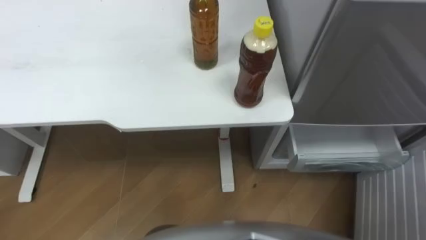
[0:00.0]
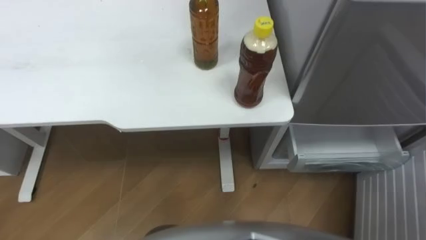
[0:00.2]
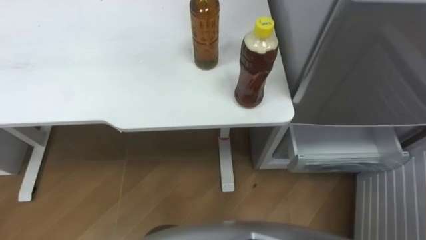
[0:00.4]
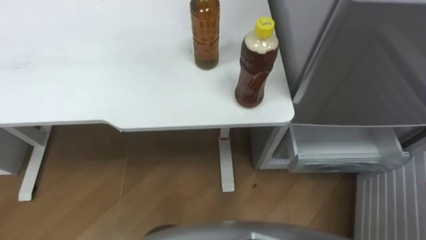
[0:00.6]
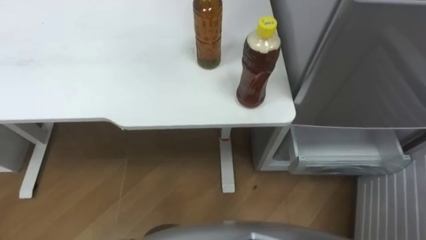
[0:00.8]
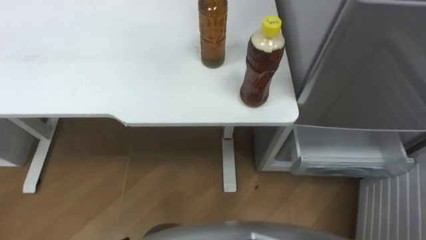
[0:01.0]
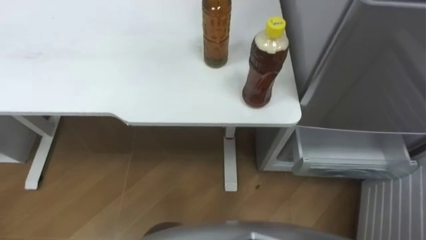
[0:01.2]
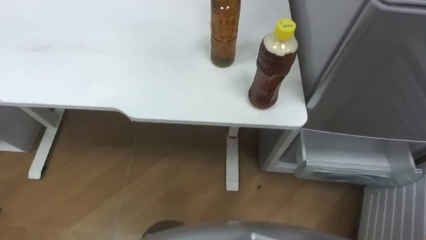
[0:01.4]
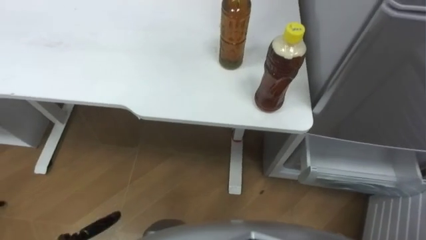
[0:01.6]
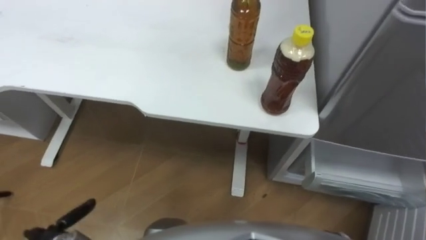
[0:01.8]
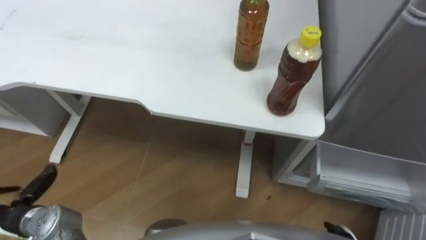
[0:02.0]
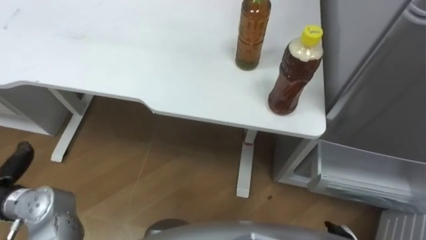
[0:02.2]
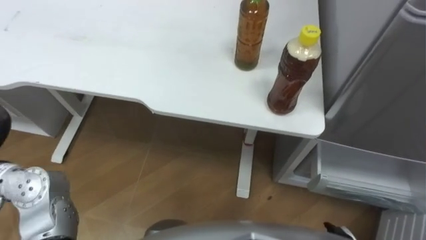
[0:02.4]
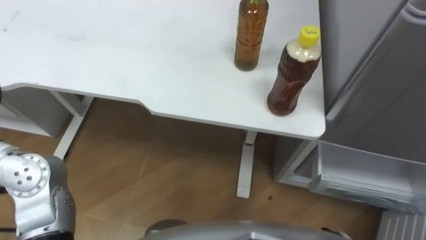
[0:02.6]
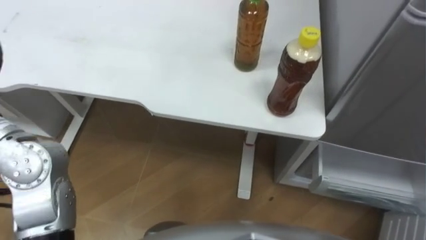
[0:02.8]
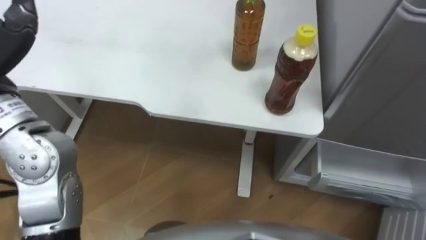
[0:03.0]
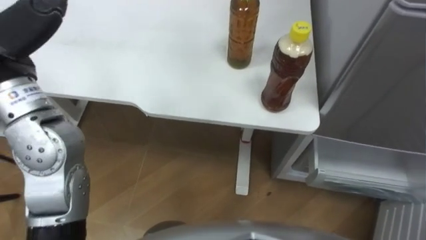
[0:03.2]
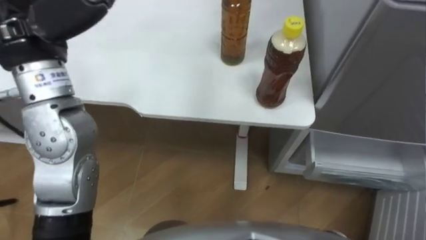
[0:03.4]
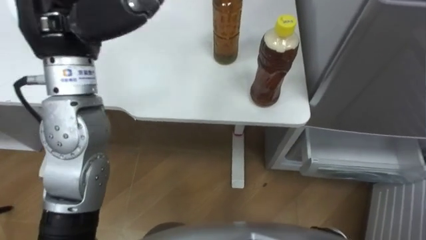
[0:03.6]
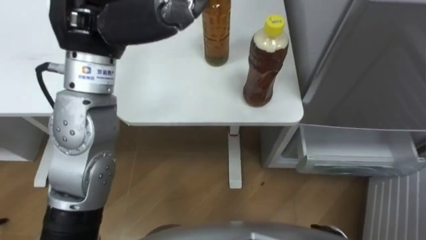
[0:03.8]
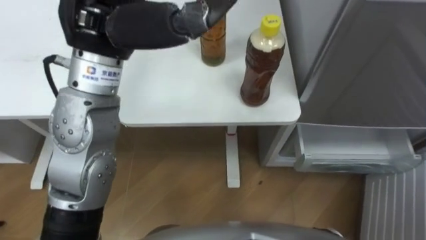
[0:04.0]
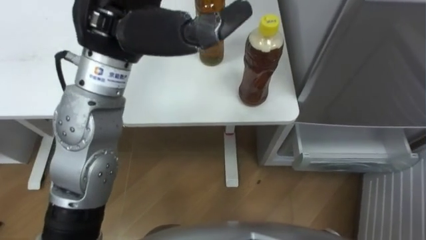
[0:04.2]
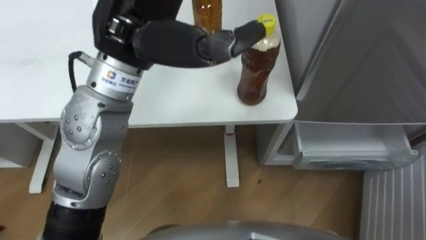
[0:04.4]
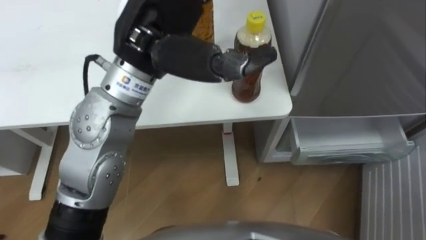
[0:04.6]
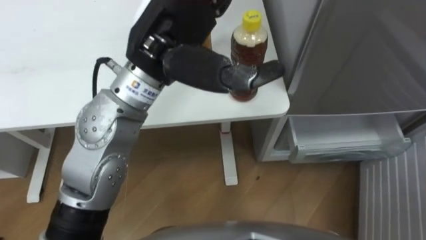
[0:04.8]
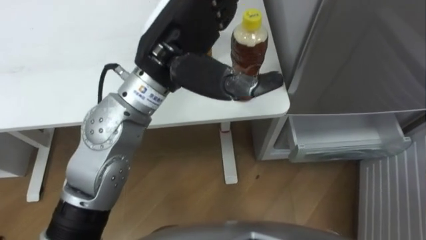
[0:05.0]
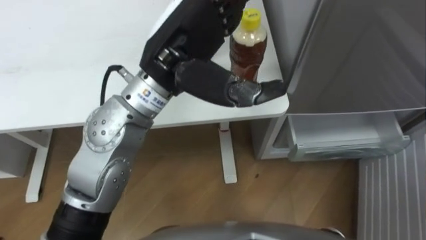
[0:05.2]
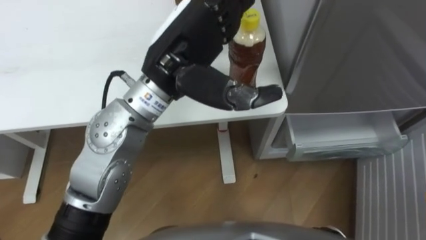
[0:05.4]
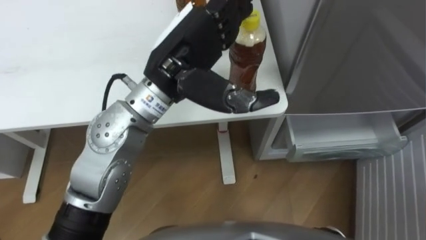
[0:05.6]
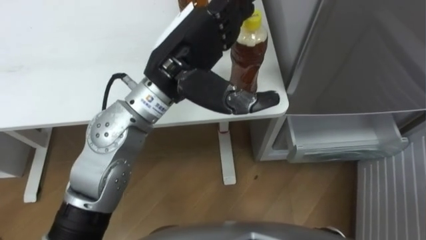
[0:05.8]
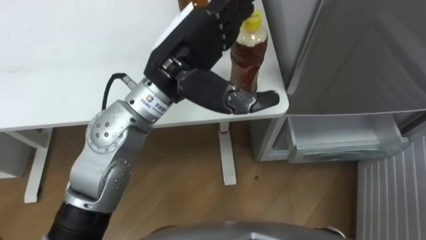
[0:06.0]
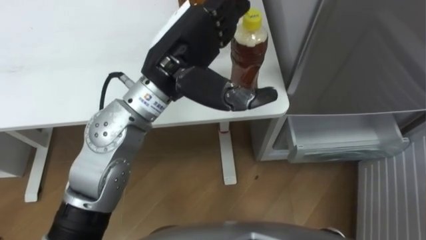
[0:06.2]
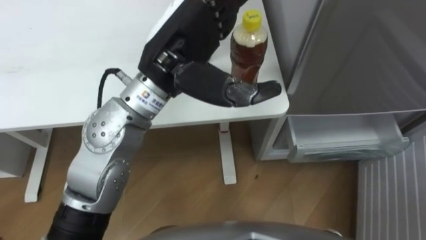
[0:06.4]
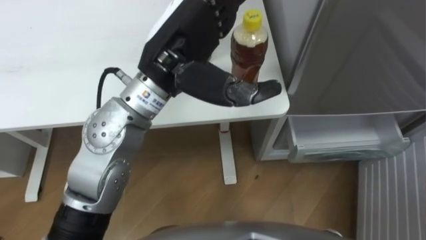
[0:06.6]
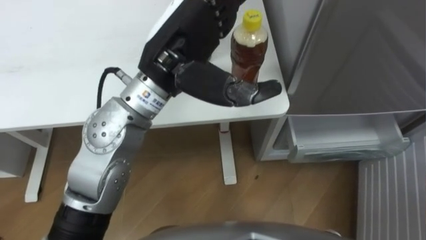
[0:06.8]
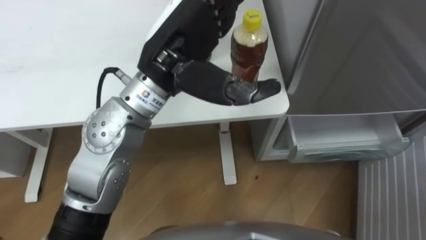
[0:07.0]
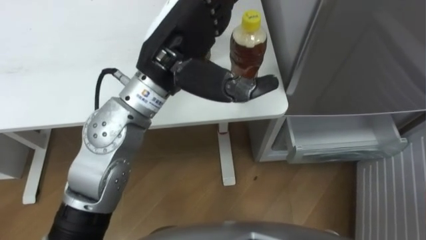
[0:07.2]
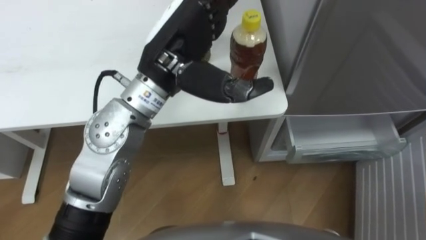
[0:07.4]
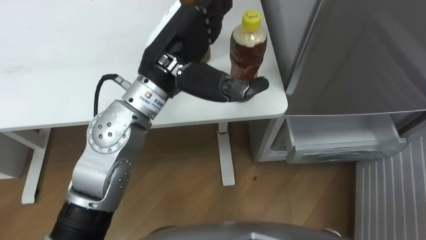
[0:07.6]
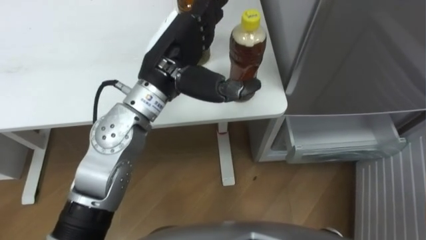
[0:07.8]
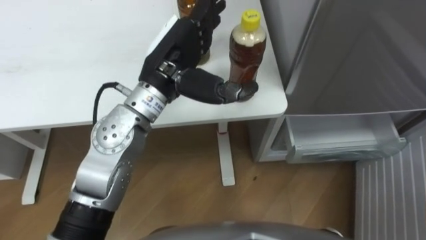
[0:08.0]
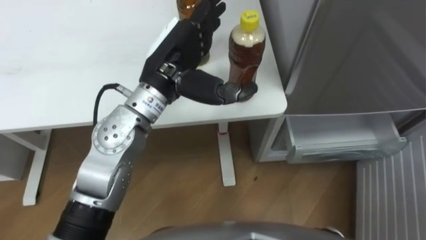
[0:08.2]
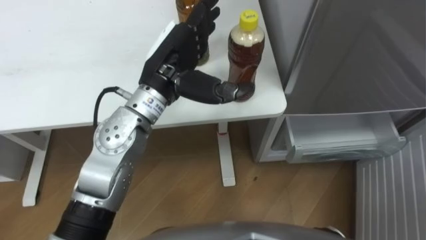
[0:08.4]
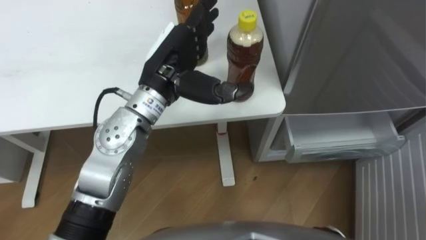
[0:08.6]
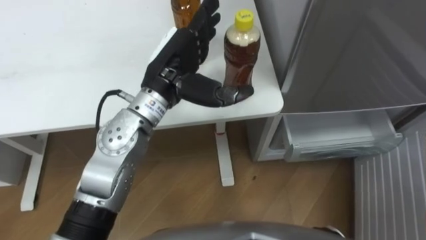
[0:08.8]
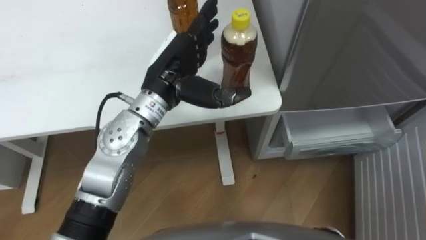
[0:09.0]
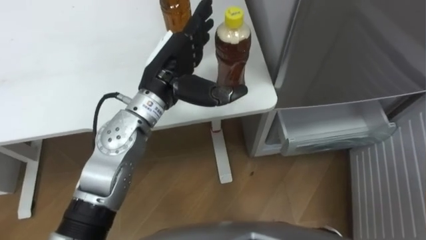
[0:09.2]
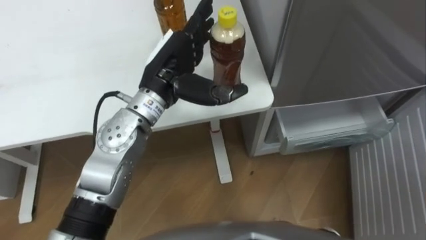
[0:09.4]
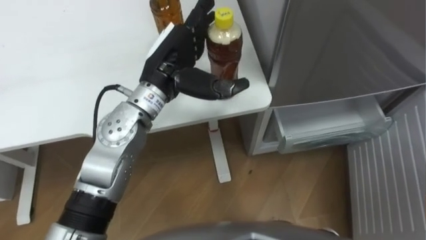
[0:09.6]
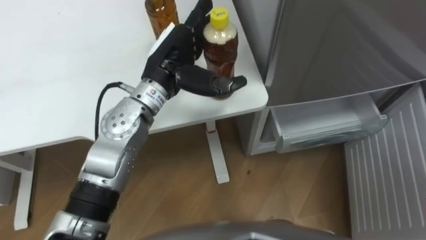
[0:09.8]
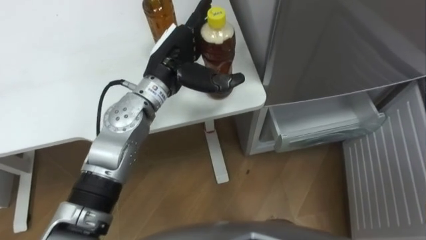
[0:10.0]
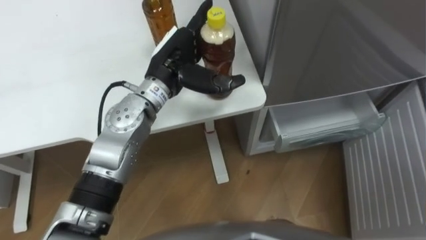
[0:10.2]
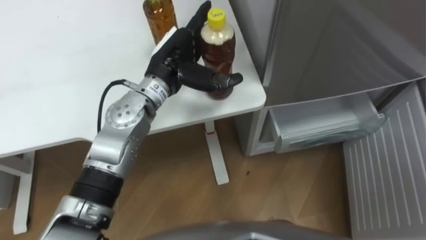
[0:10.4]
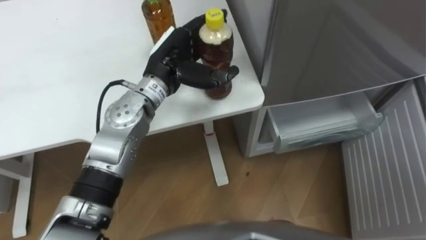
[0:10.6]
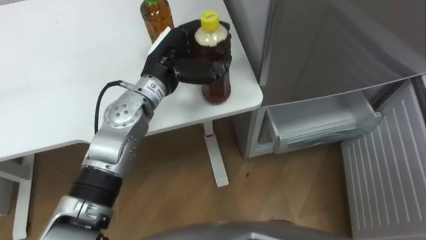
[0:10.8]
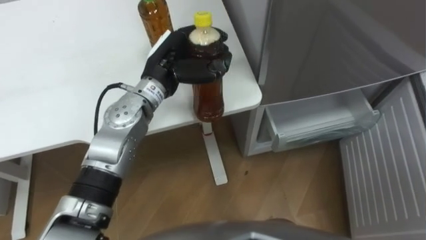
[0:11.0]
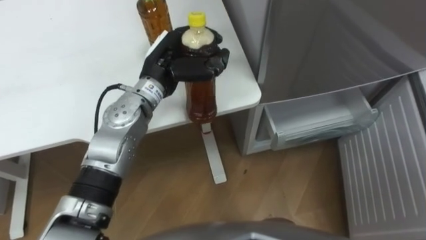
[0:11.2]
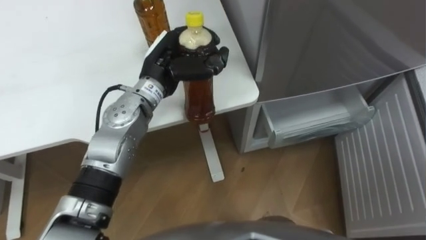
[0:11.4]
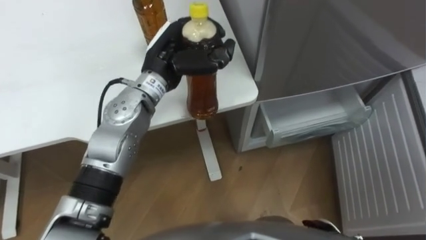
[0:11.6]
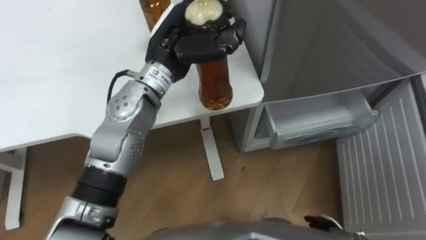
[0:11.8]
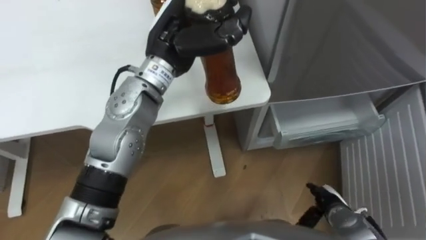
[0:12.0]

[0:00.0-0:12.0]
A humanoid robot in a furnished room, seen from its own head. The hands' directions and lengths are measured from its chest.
Task of the whole recording: Place the drink on the table on the bottom shelf of the refrigerator, then close the drawer and the refrigerator door.
0:04.4 to 0:06.0: The left hand is displaced downward by about 5 cm.
0:07.6 to 0:09.0: The left hand goes about 5 cm downward.
0:10.4 to 0:12.0: The left hand shifts about 5 cm upward, and closes its fingers.

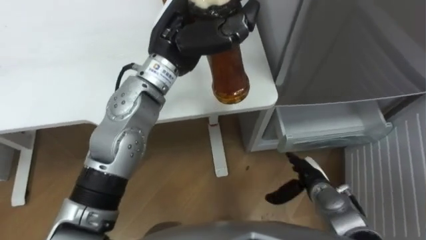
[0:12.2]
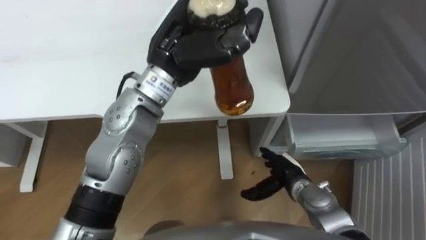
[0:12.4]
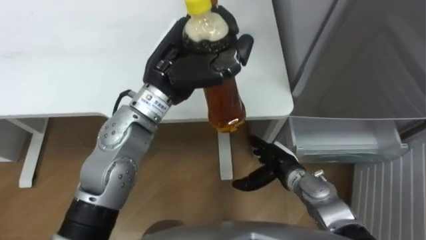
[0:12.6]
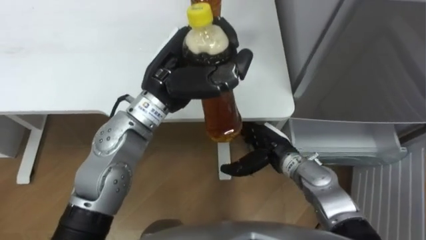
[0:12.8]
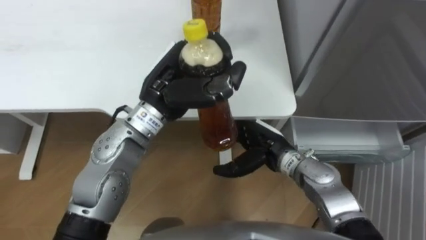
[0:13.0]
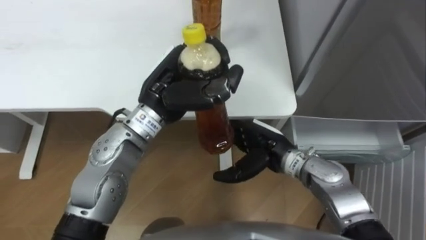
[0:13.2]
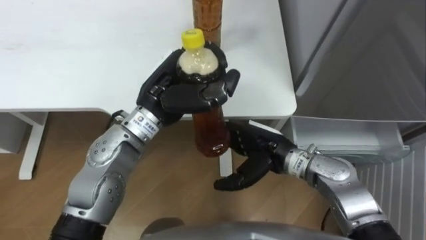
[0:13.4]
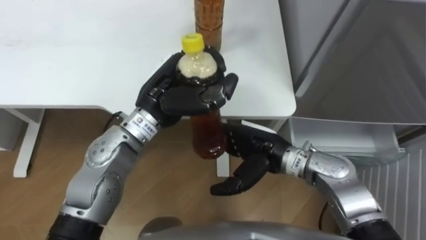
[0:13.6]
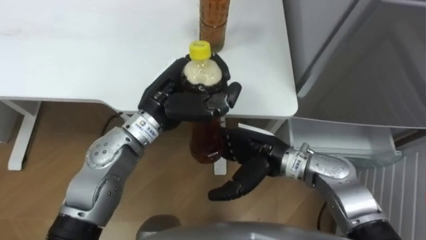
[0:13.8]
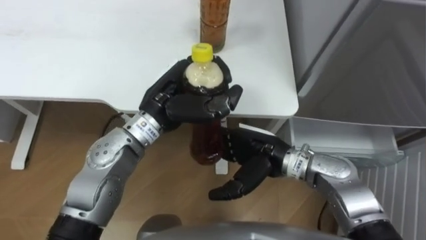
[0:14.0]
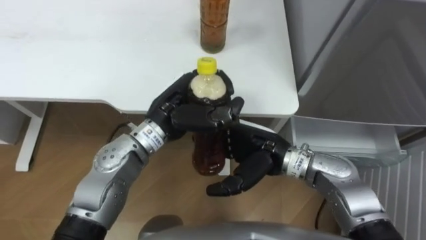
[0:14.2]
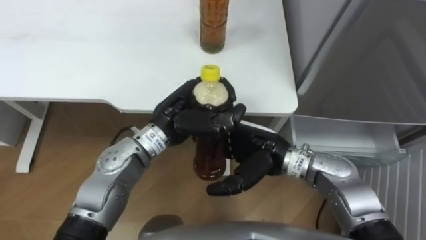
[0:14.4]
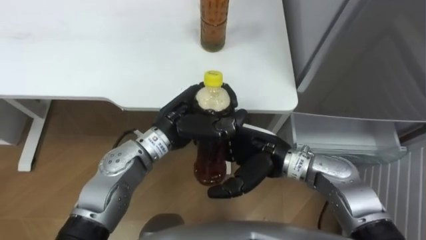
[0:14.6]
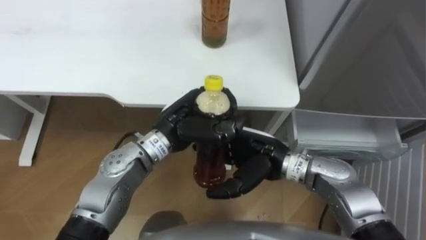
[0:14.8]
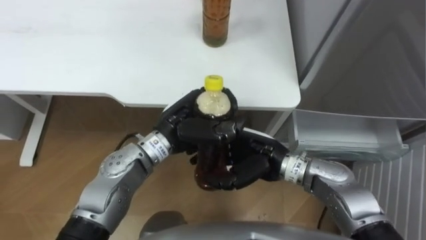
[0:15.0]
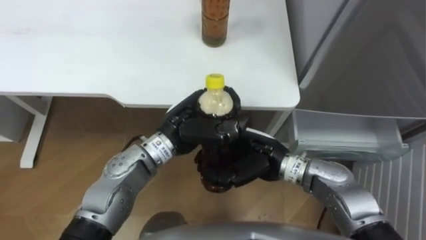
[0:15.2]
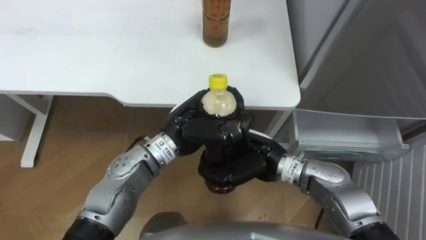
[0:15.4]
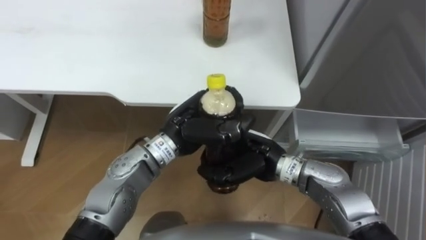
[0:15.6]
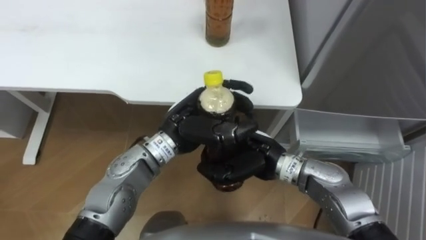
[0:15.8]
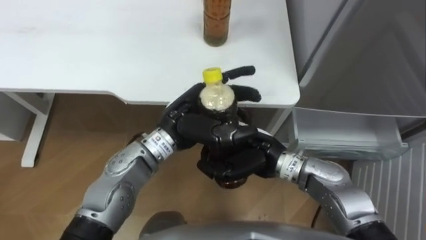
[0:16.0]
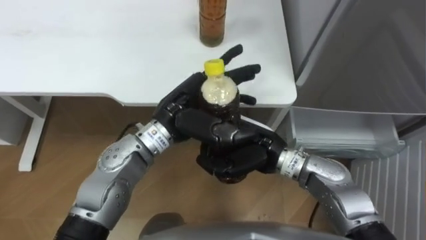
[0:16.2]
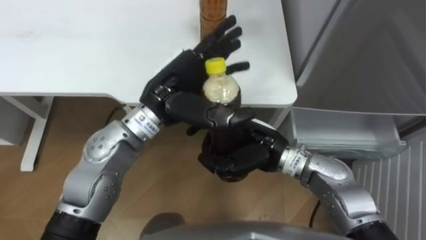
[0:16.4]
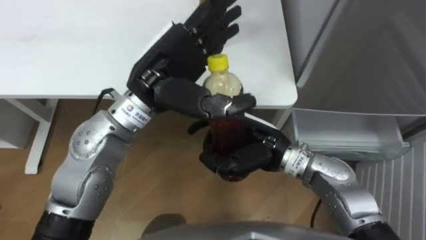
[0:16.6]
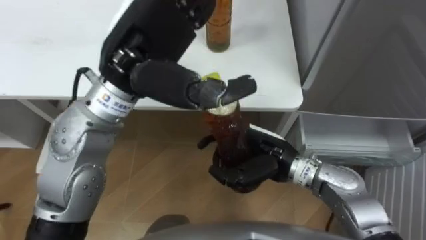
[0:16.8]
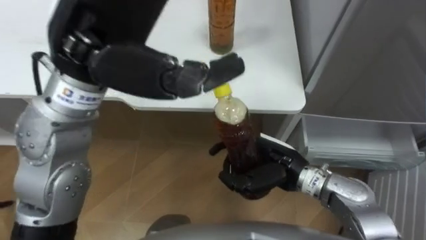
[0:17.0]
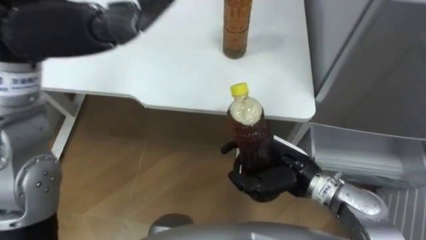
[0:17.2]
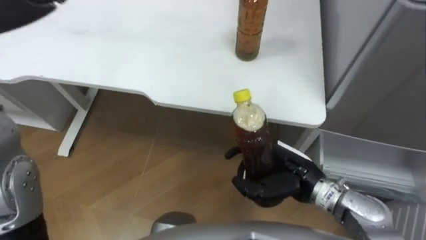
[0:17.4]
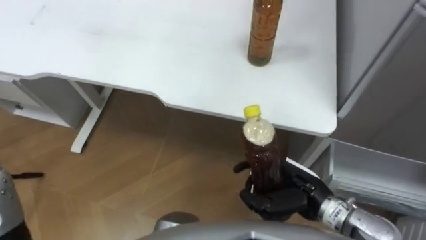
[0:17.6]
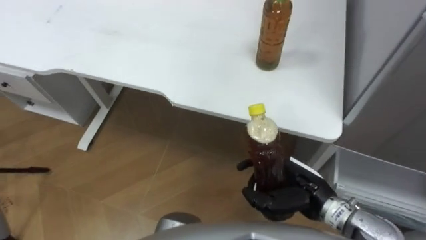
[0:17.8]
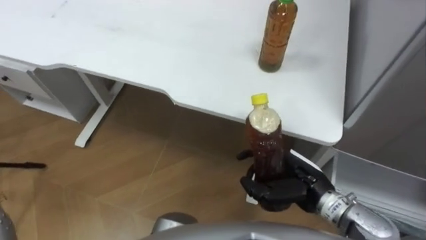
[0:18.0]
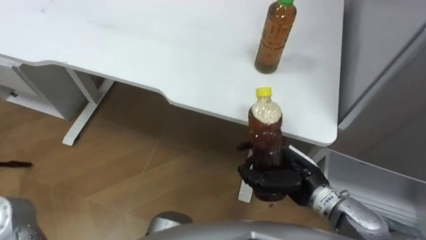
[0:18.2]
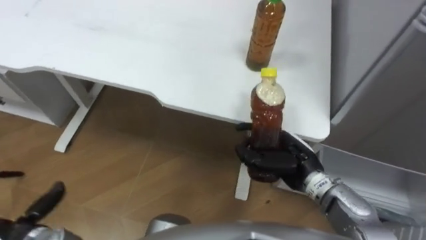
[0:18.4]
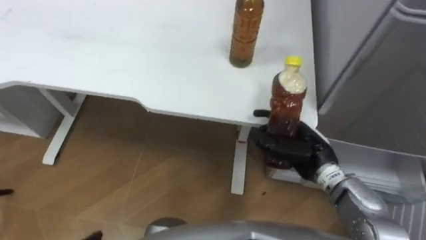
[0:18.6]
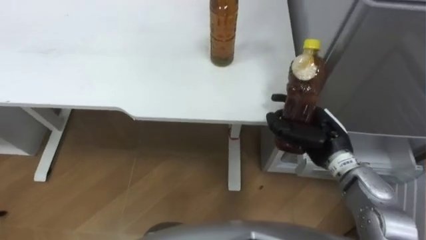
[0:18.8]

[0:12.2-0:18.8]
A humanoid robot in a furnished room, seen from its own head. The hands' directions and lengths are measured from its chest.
Task of the whole recording: Place the drink on the table on the bottom shelf of the refrigerator, then close the drawer and the refrigerator door.
0:12.2 to 0:13.8: The right hand moves upward and to the left, some 20 cm. Meanwhile the left hand shifts some 10 cm downward and backward.
0:13.8 to 0:15.4: The left hand shifts by about 5 cm; the right hand closes up.
0:15.4 to 0:17.2: The right hand is displaced to the right by roughly 5 cm; the left hand goes approximately 30 cm upward and to the left, and opens its fingers.
0:17.2 to 0:18.8: The right hand shifts approximately 10 cm to the right and forward.
